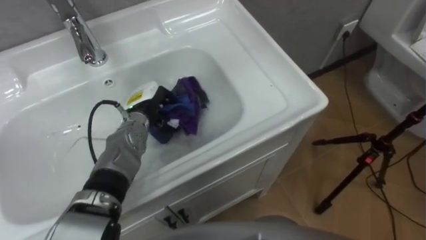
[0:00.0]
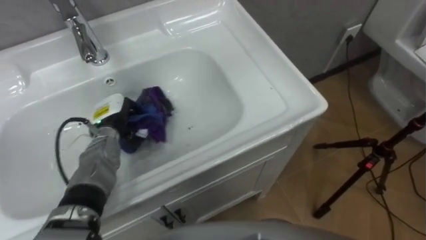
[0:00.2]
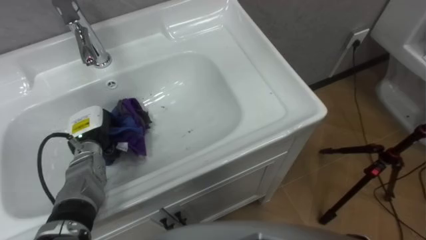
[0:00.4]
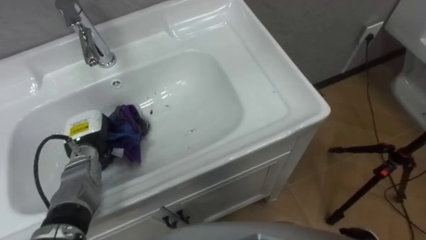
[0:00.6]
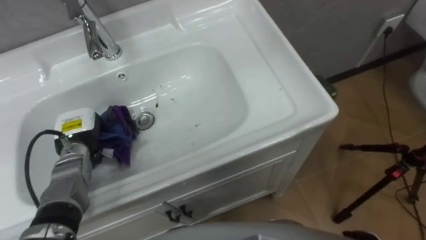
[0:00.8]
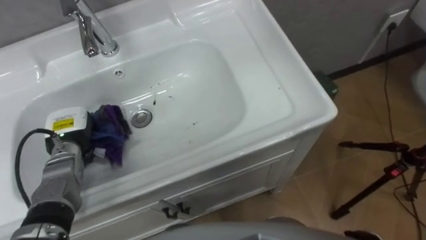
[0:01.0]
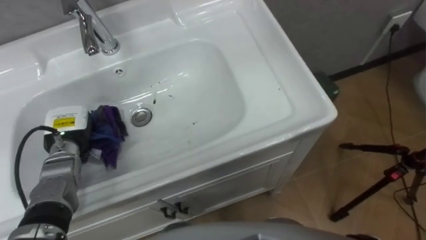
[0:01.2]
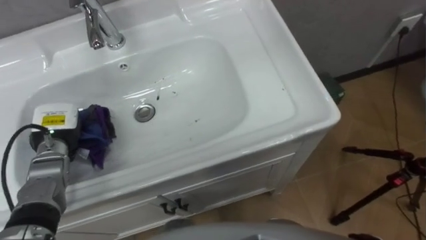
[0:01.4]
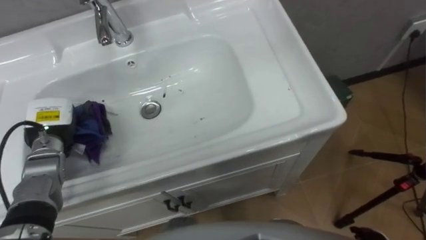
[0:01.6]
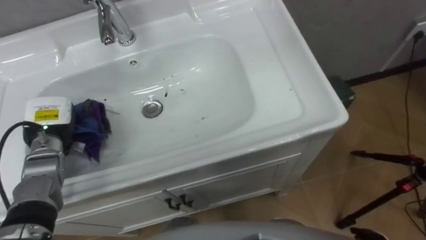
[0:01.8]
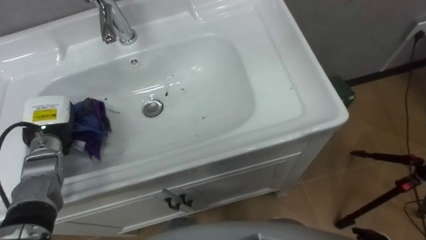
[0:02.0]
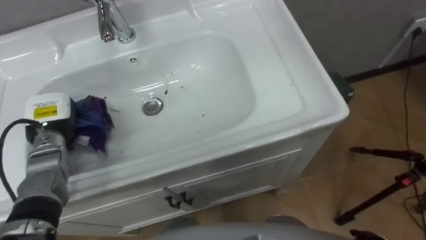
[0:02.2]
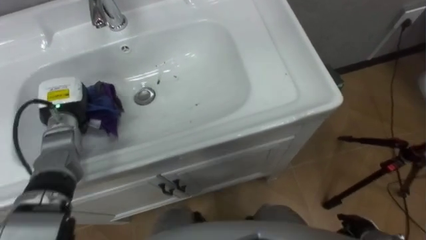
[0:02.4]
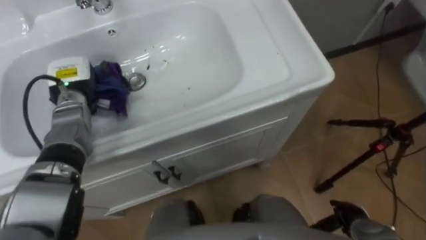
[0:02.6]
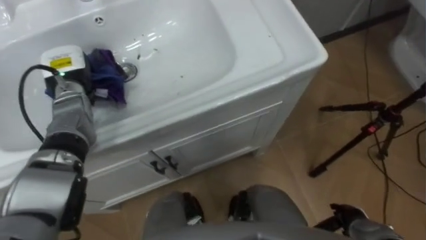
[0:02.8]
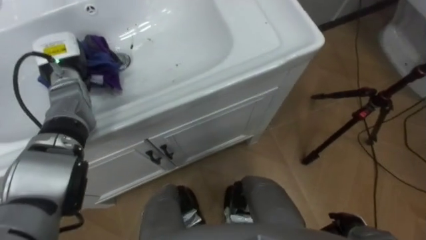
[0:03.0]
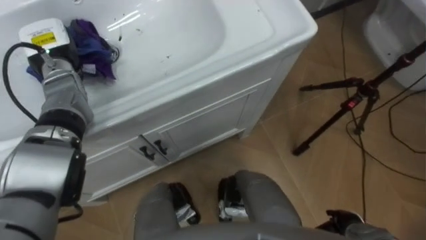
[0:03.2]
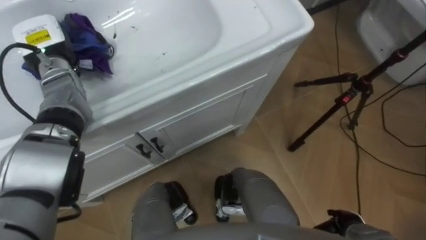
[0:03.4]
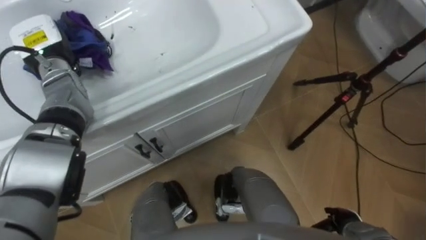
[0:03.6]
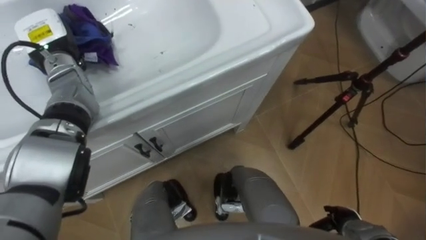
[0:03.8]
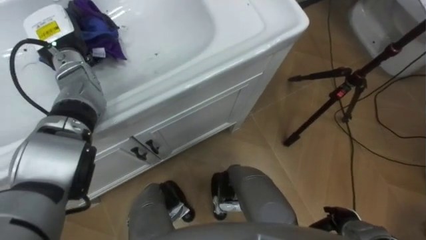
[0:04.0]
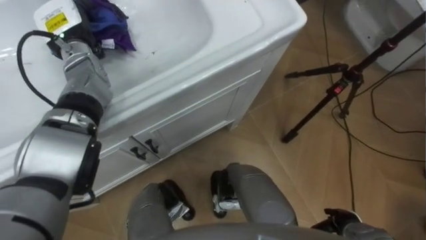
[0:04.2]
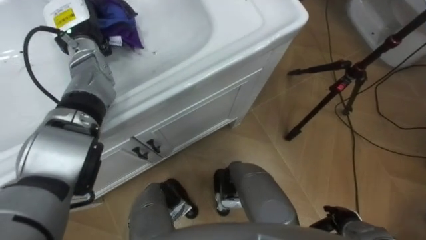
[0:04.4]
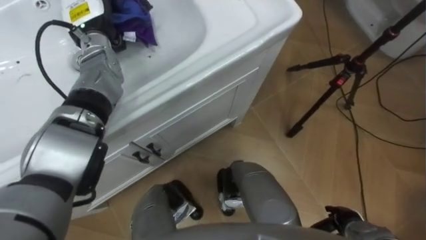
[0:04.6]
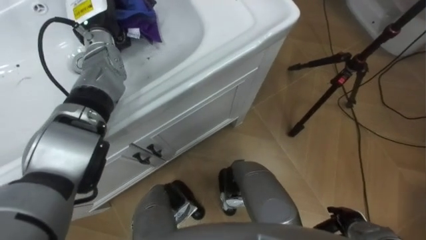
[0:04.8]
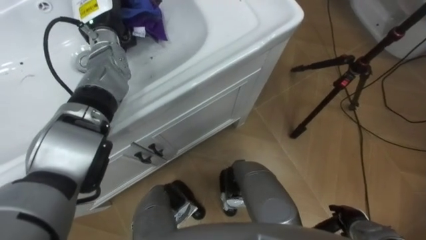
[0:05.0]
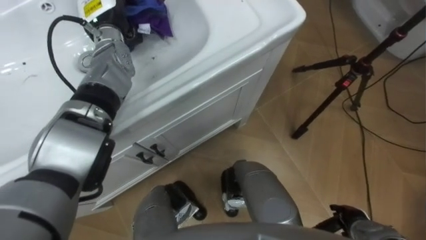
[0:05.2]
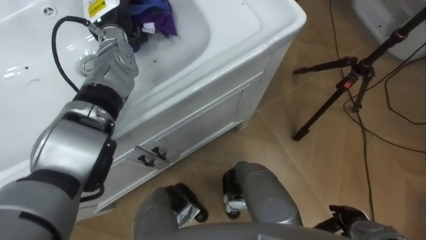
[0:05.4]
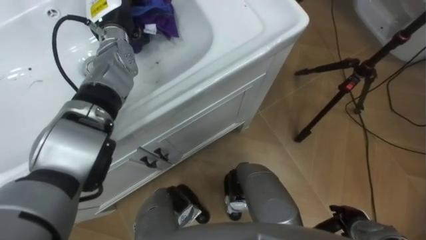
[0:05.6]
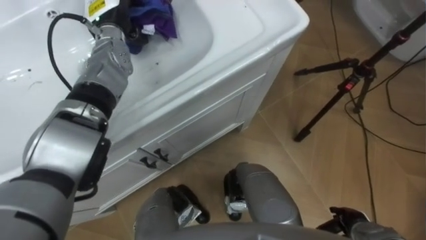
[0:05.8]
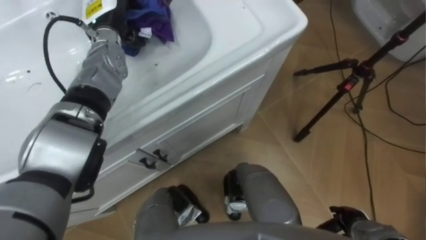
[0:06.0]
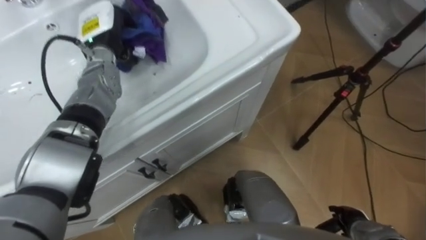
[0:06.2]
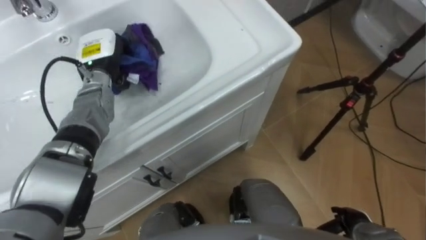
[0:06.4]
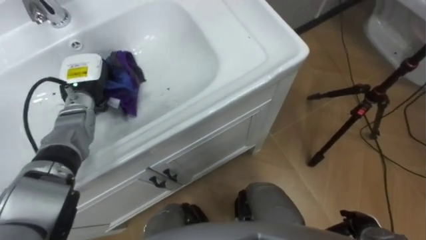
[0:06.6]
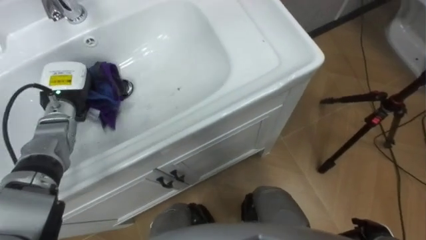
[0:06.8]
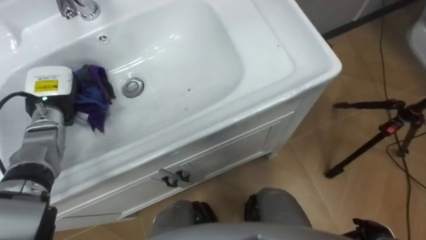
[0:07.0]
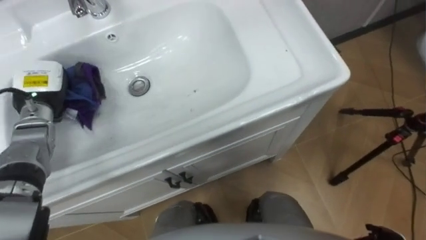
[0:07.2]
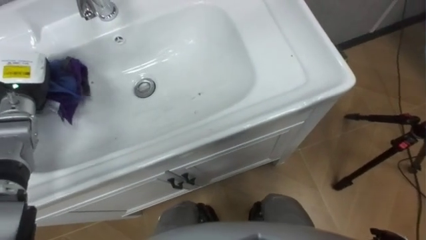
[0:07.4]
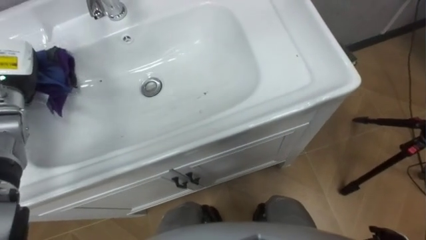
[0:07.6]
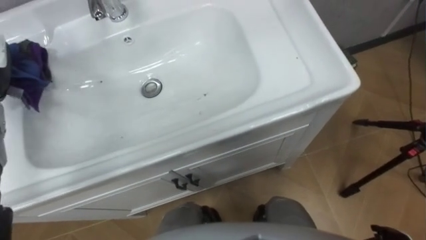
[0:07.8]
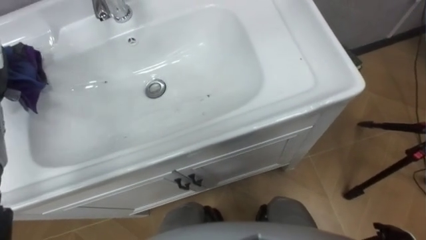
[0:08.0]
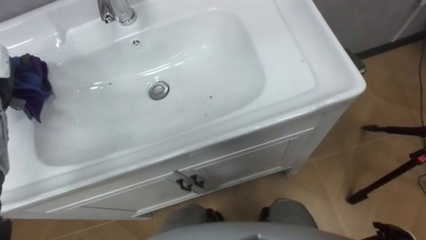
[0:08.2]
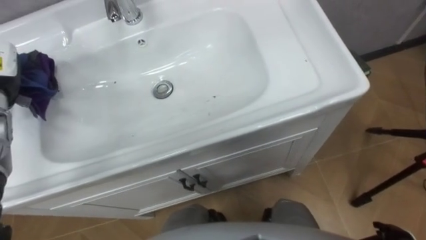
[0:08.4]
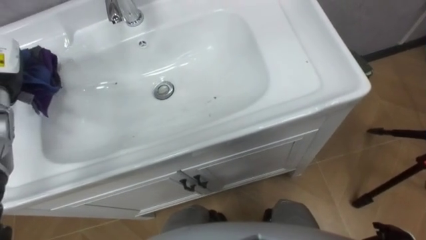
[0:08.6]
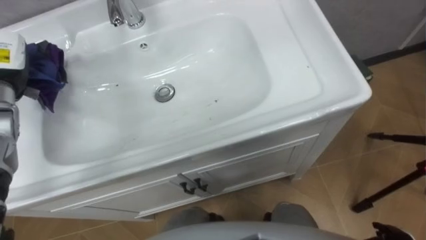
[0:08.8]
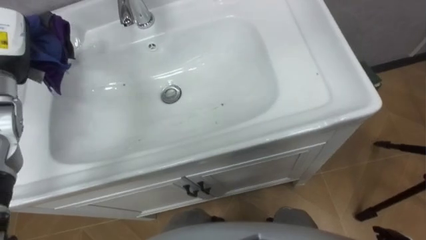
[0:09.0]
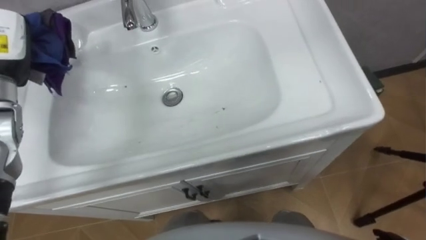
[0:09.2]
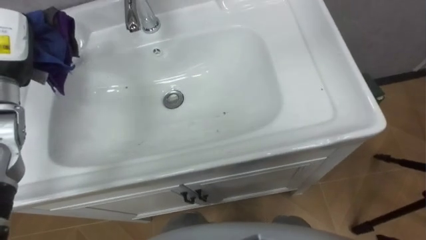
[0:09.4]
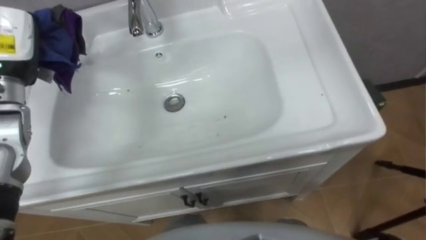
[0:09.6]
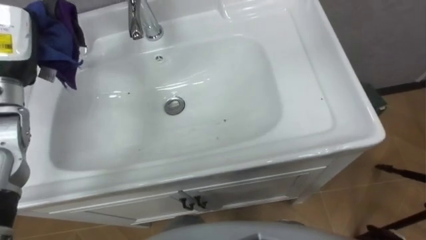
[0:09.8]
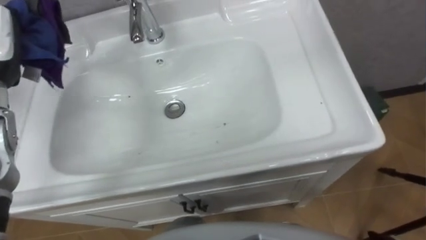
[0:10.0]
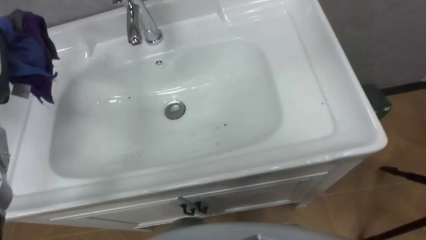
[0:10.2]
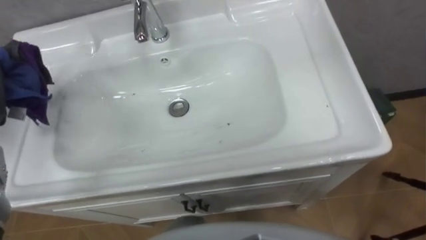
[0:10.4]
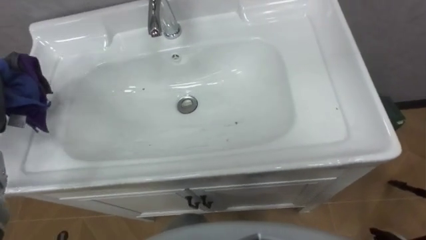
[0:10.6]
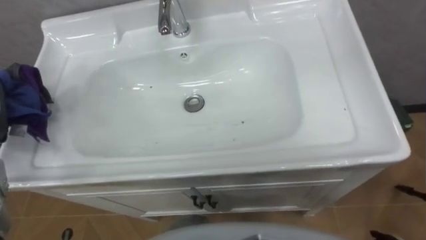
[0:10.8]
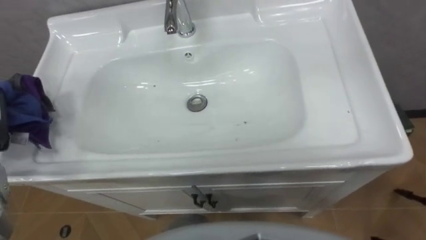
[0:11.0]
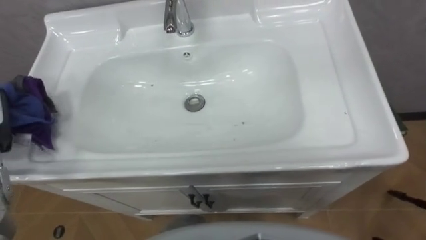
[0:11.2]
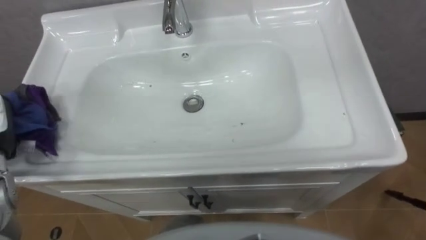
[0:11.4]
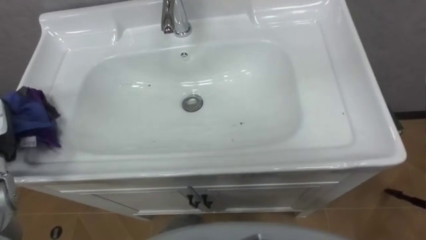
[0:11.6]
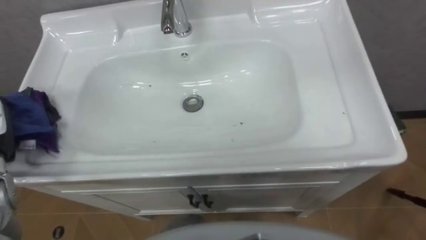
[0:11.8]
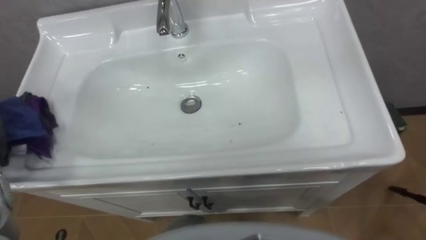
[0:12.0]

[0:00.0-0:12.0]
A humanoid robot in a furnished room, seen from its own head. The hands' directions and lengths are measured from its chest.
Task of the whole recording: Use the cloth on the right to wipe away the black stain in the sink.
0:00.0 to 0:01.6: The left hand heads to the left, covering about 20 cm.
0:01.6 to 0:03.0: The left hand heads forward and upward, covering some 15 cm.
0:03.0 to 0:04.4: The left hand heads upward, covering about 5 cm.
0:04.4 to 0:06.0: The left hand goes some 5 cm to the right.
0:06.0 to 0:07.6: The left hand shifts about 20 cm to the left and backward.

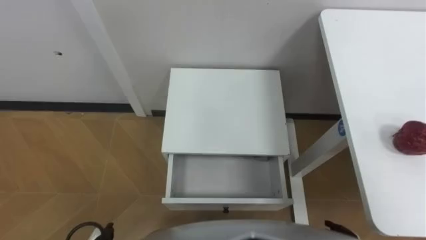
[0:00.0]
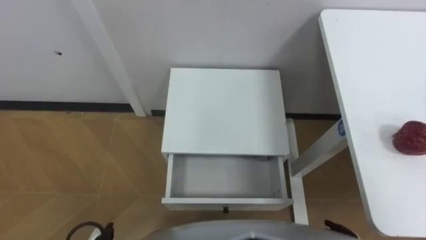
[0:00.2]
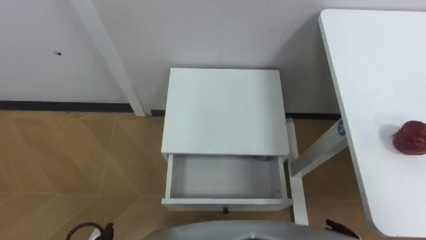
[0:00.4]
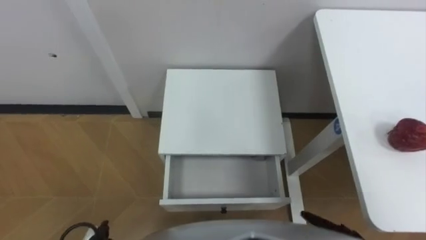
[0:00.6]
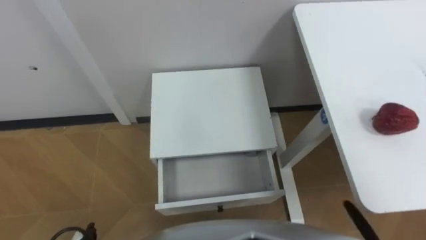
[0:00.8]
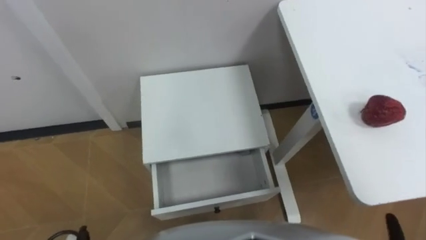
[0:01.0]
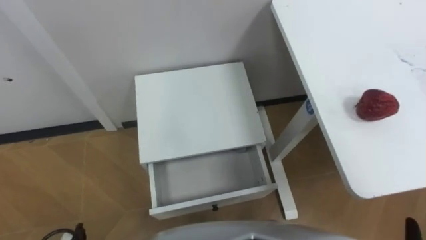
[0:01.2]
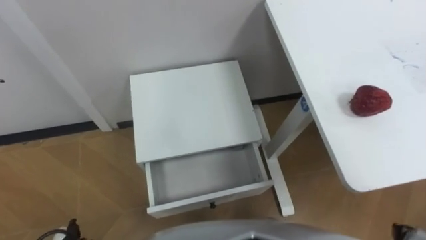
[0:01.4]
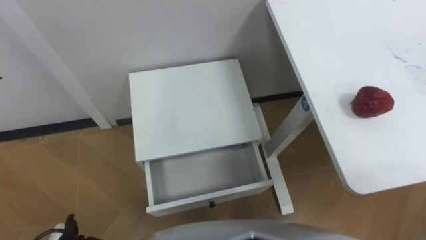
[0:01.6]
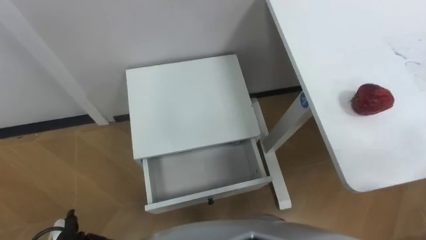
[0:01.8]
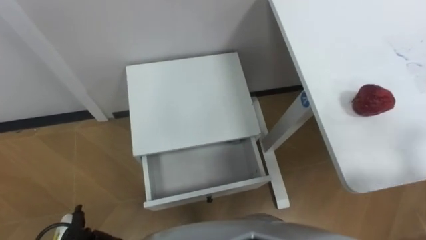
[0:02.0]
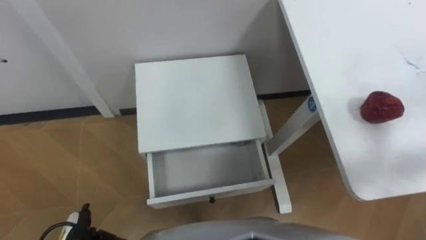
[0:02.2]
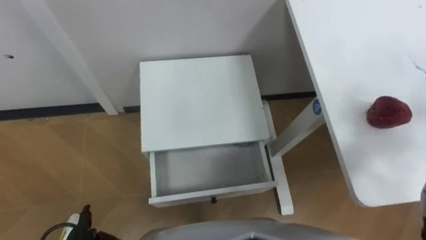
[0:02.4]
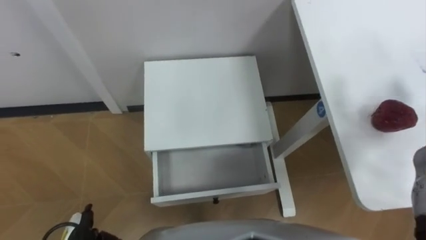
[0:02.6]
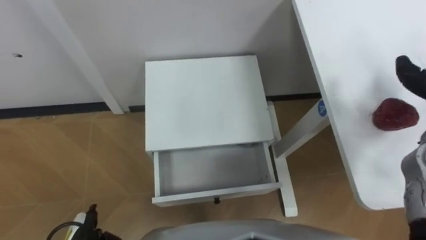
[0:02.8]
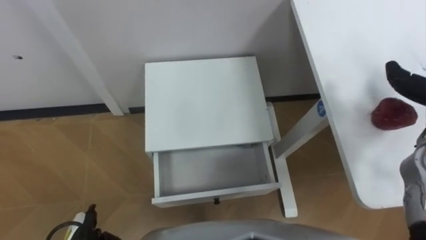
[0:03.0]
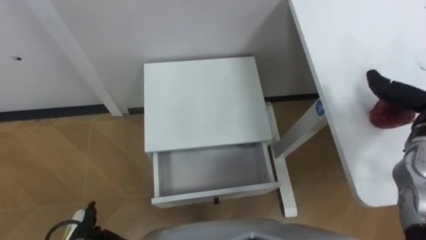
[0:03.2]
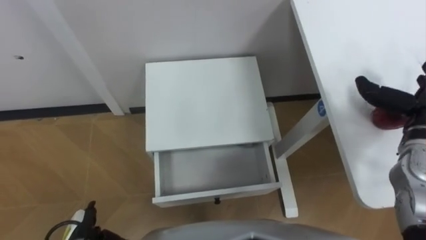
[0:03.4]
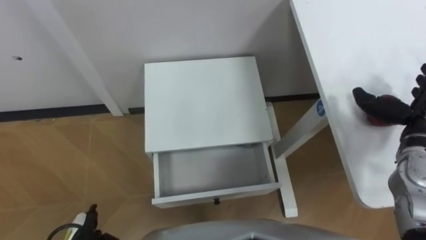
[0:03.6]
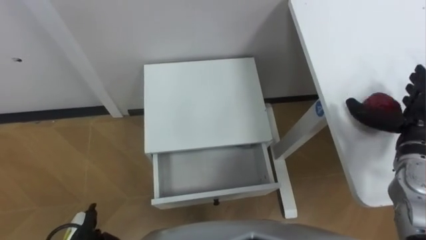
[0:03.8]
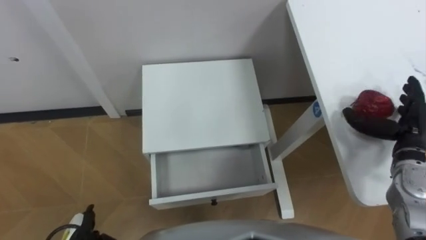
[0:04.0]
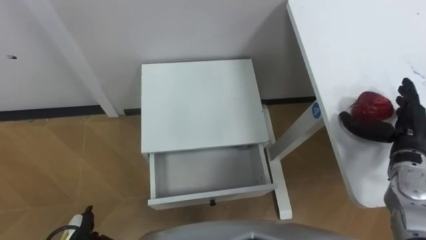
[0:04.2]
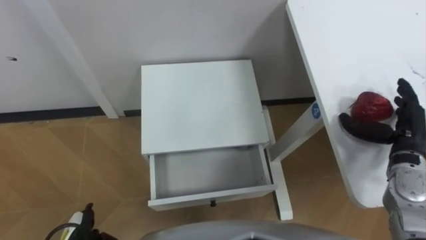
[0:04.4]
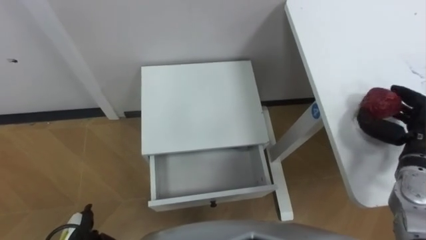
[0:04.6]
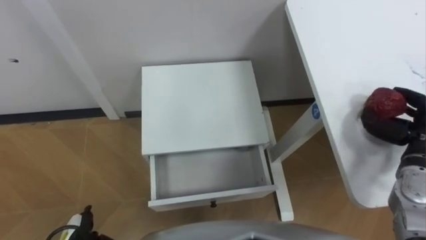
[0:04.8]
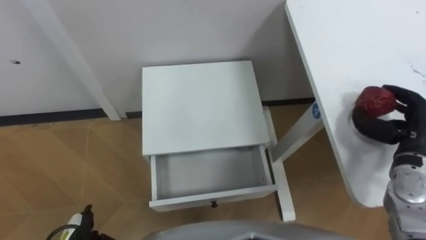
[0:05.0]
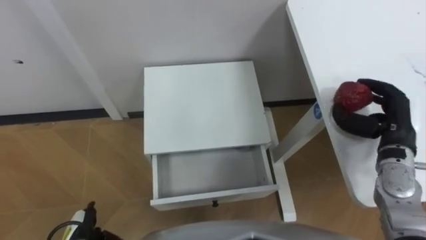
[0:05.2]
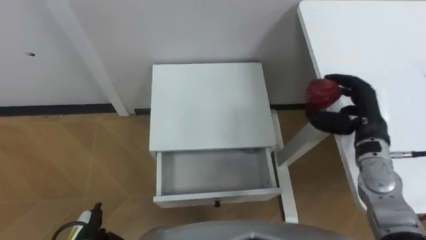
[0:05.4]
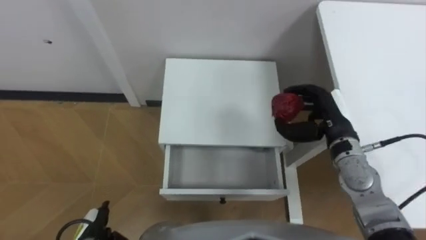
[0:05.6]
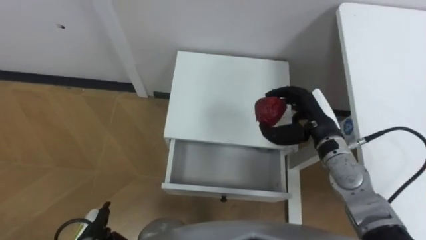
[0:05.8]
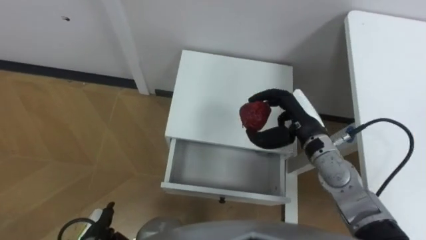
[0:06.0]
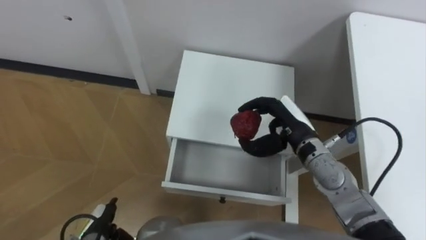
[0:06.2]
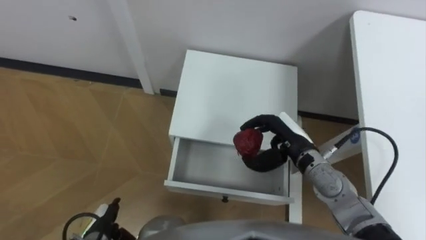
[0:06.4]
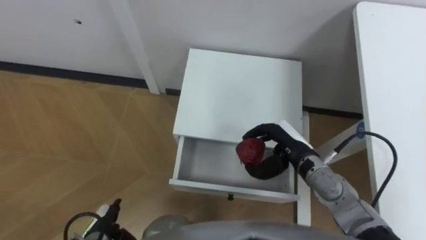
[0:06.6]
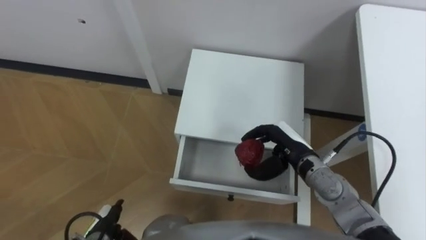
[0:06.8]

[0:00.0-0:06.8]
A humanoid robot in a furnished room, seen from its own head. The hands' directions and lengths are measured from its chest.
Task of the whole recording: Pick up the apple from the table, put it in the drawer, and close the drawer with leg.
0:04.0 to 0:05.4: The right hand goes about 5 cm to the left, and closes up.
0:05.4 to 0:06.8: The right hand moves to the left and downward, approximately 15 cm.
